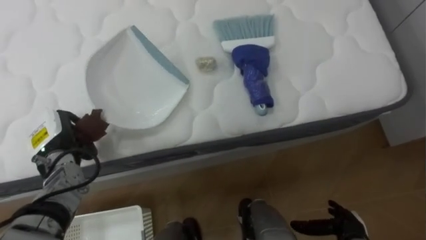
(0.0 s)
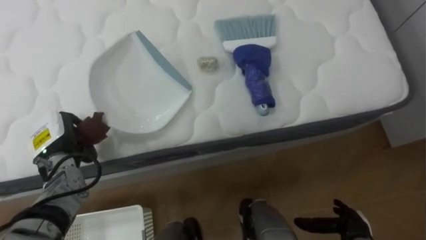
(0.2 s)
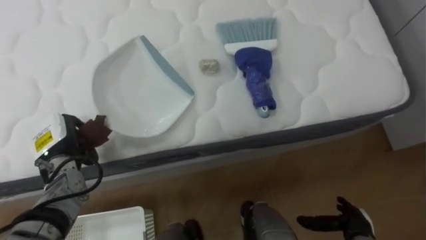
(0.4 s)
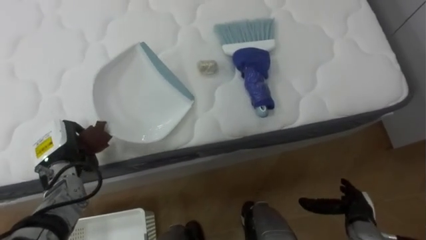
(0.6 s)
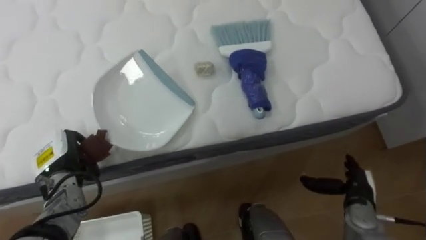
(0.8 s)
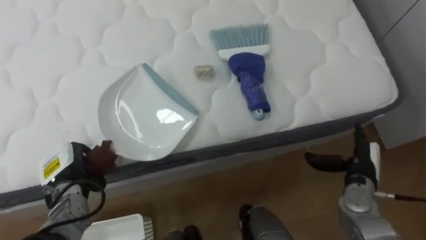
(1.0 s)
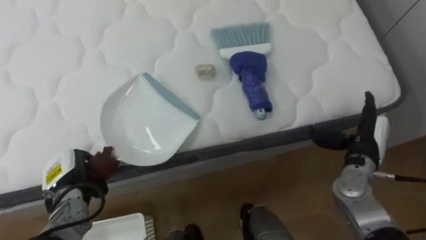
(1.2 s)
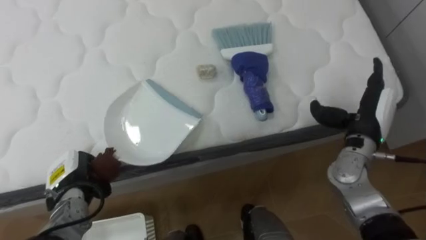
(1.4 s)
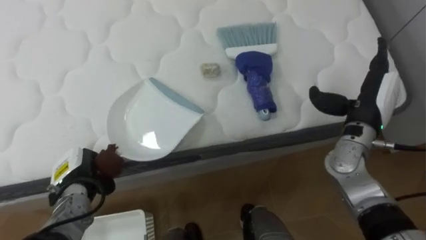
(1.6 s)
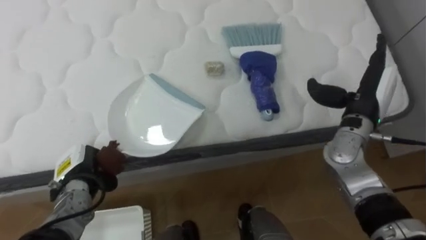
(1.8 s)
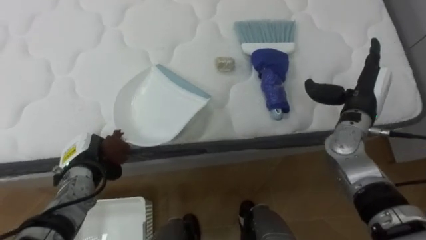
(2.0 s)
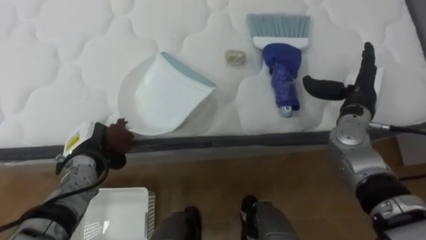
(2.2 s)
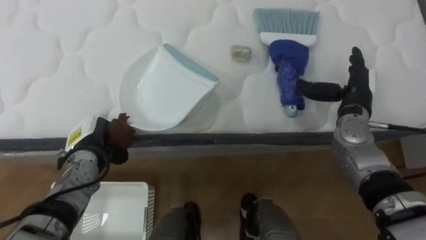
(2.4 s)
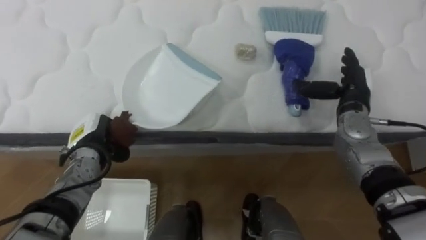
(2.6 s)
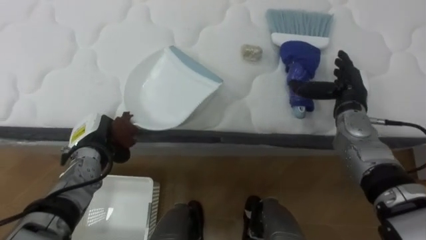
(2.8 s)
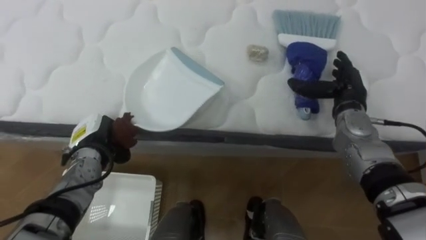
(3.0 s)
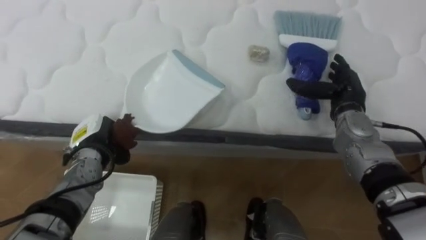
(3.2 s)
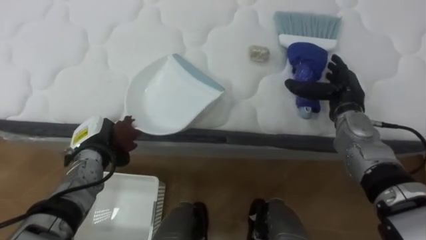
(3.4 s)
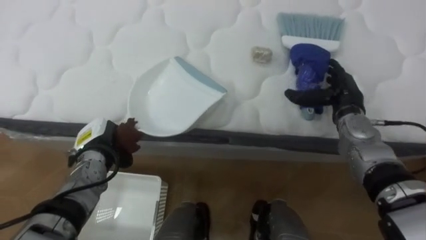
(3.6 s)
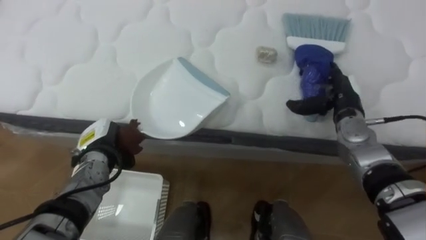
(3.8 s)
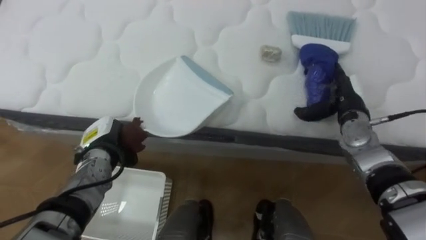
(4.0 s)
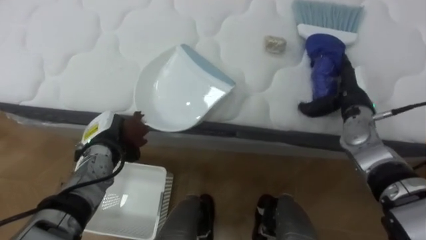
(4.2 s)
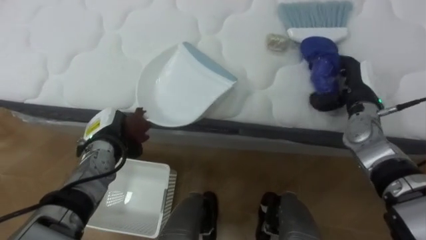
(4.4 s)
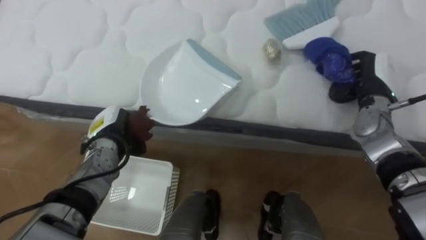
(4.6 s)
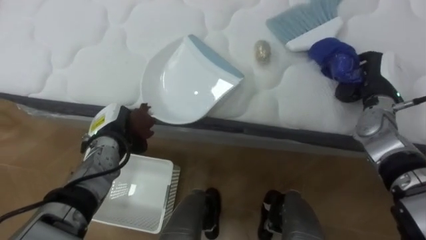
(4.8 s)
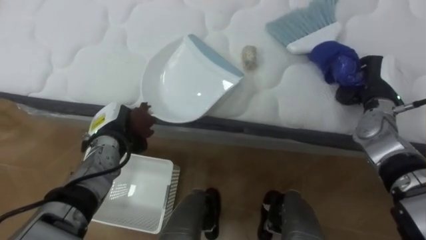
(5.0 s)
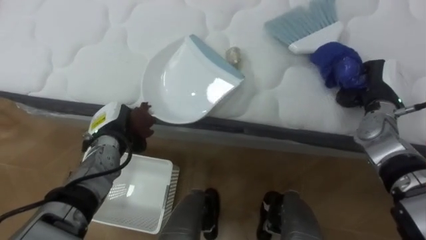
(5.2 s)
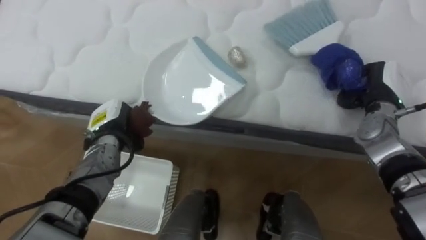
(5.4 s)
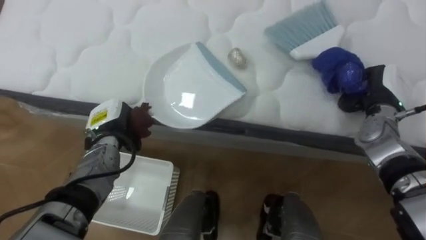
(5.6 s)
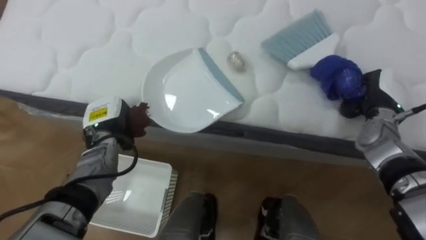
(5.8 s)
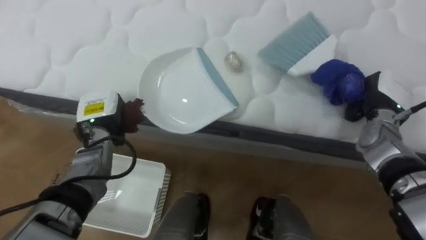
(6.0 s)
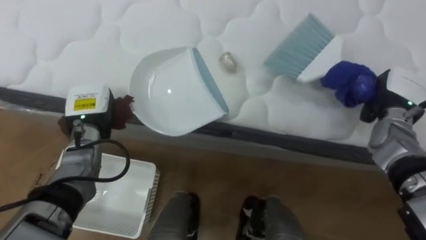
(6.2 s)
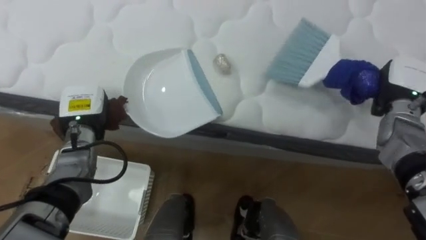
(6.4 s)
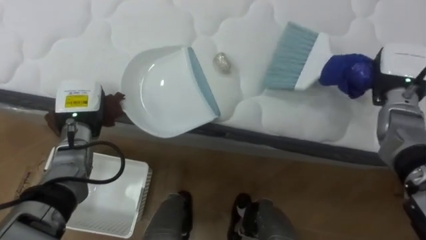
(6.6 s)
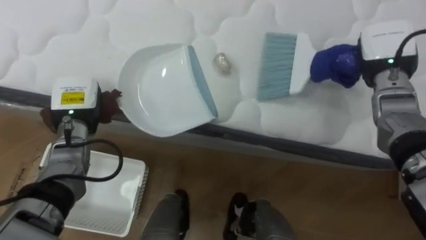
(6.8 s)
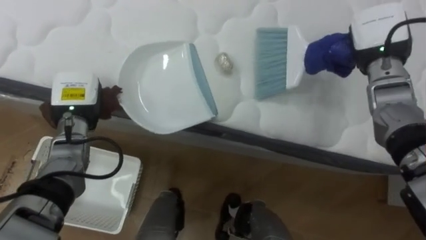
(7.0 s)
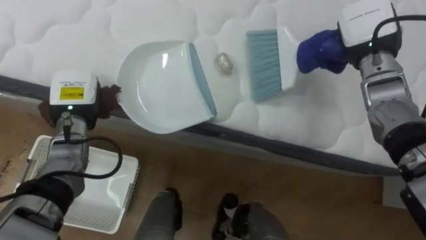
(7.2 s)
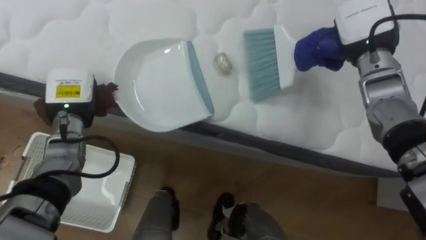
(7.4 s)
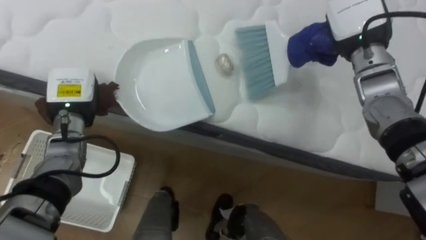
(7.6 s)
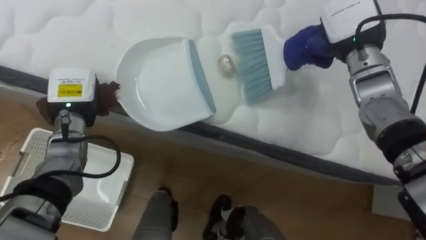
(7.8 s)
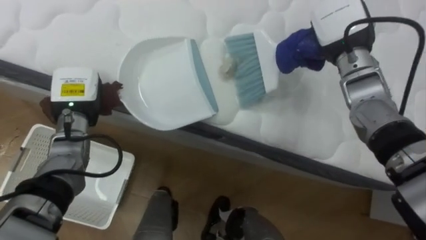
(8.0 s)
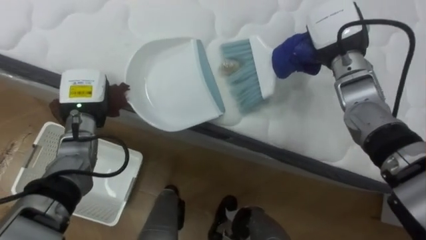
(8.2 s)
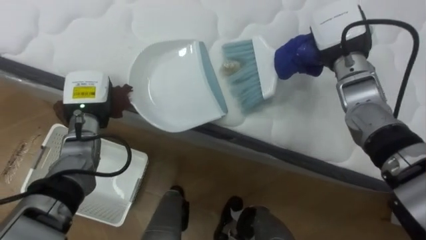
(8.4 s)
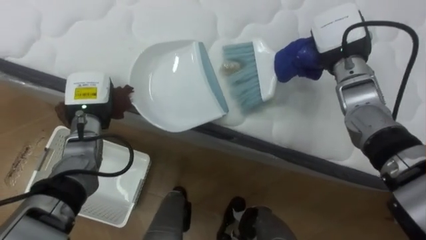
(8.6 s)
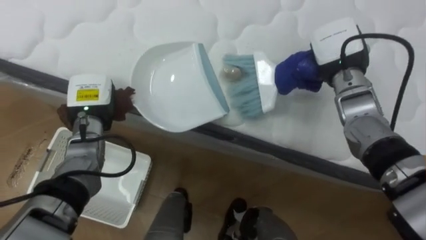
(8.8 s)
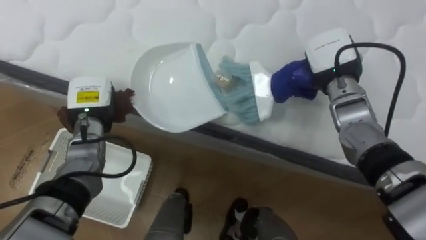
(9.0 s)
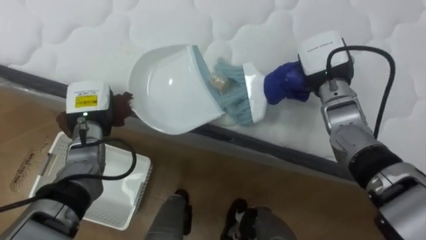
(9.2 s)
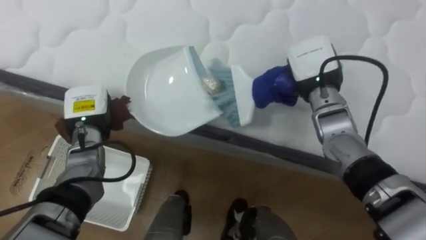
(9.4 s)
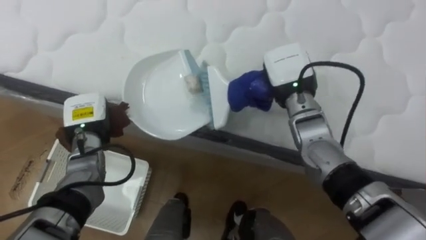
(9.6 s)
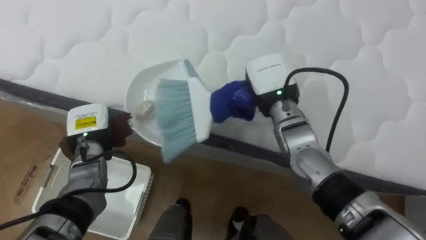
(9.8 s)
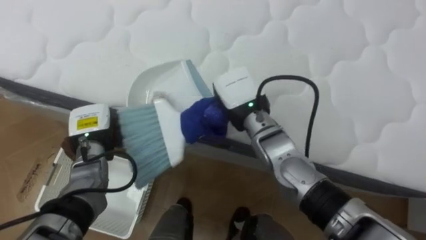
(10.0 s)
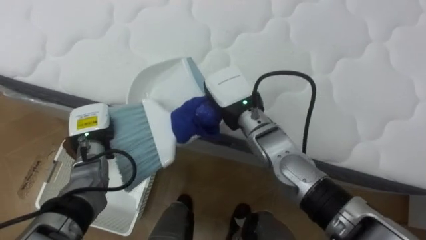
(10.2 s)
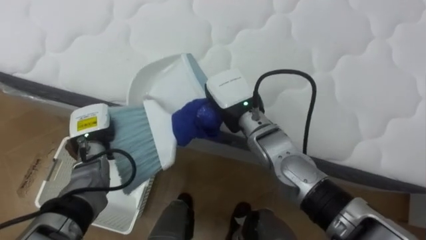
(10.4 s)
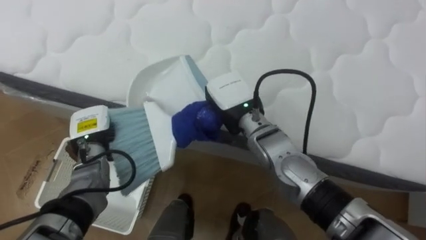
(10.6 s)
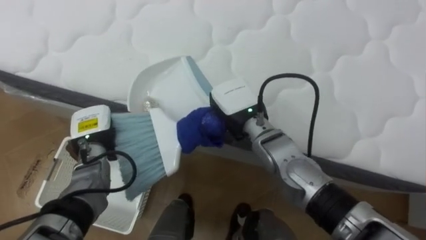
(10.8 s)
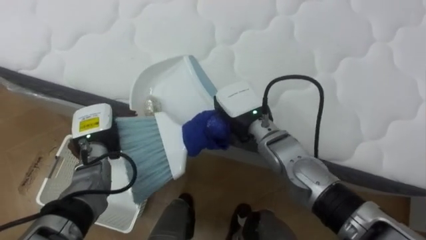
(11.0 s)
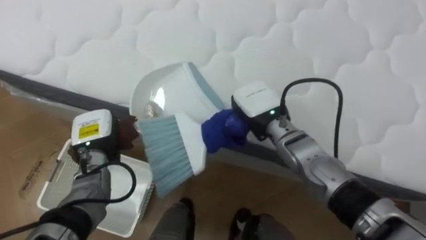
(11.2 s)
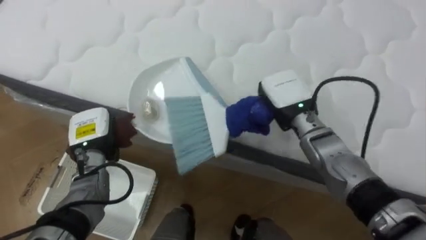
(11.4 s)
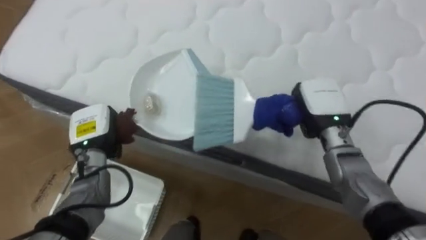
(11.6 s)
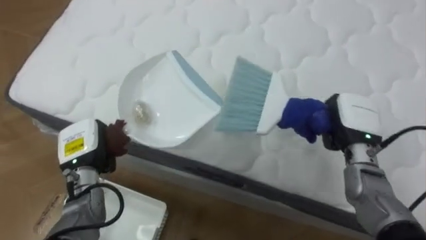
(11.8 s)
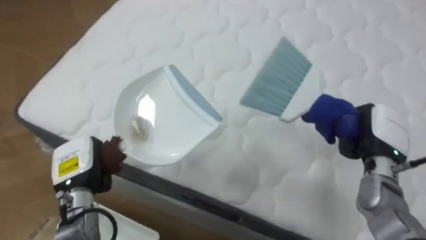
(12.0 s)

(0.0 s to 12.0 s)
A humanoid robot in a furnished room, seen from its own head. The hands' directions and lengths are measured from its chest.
Task of the whole recording: Pick up the brush on your right and the dustpan on your left. Use the brush to sweep the crumpled paper on the bed into the dustpan, then turn left and empty it into the basket.
0.0 s - 1.6 s: The left hand moves downward, roughly 5 cm; the right hand shifts roughly 30 cm upward and forward.
1.6 s - 3.0 s: Both hands move forward, approximately 5 cm.
4.4 s - 6.0 s: The right hand closes its fingers.
6.0 s - 7.6 s: The left hand changes place by approximately 5 cm. Meanwhile the right hand is displaced upward, to the left and forward by about 15 cm.
7.6 s - 9.0 s: The right hand is displaced downward by about 5 cm.
9.0 s - 10.4 s: The right hand moves to the left, approximately 20 cm. The left hand goes about 5 cm downward.
10.4 s - 12.0 s: The right hand goes approximately 30 cm to the right; the left hand travels backward by approximately 10 cm.

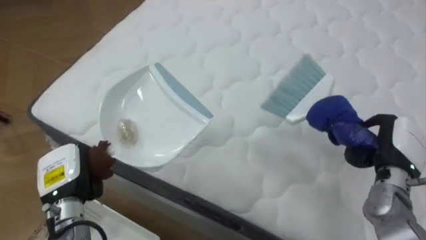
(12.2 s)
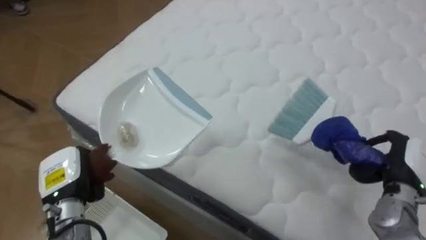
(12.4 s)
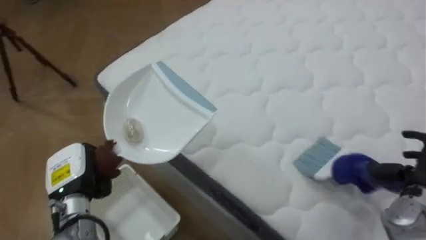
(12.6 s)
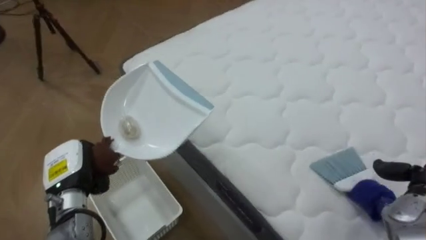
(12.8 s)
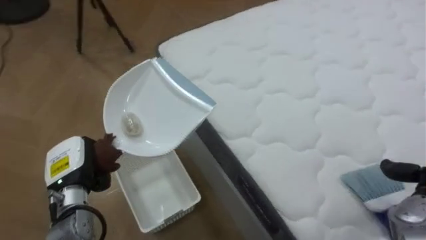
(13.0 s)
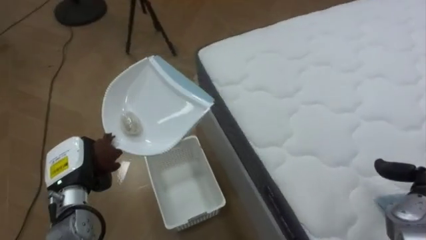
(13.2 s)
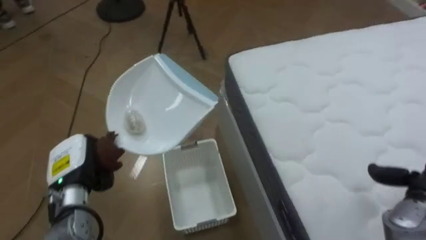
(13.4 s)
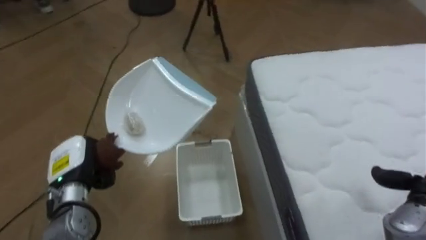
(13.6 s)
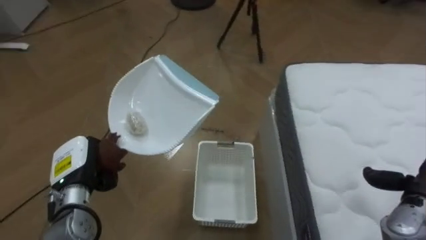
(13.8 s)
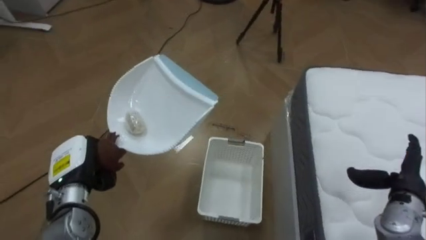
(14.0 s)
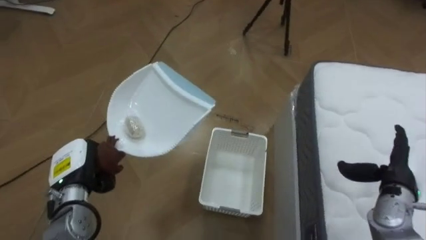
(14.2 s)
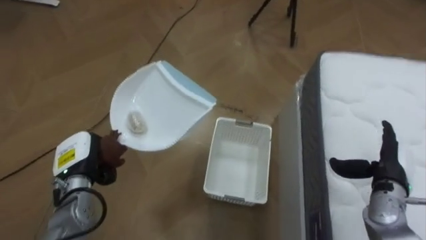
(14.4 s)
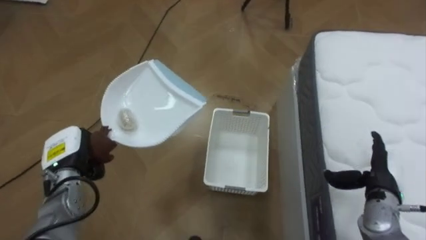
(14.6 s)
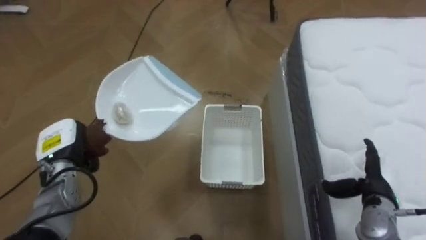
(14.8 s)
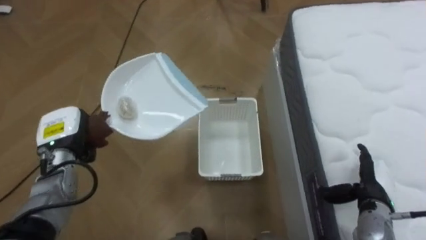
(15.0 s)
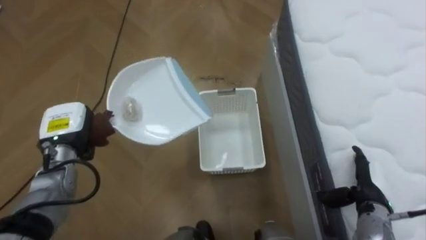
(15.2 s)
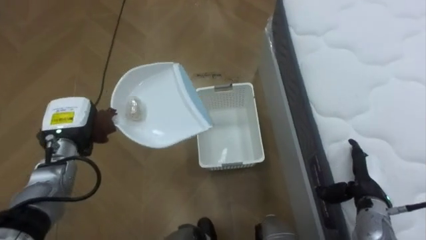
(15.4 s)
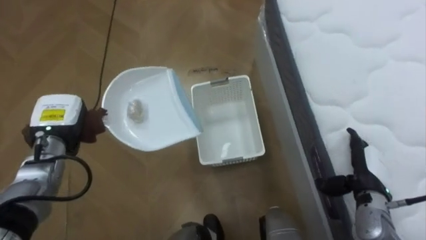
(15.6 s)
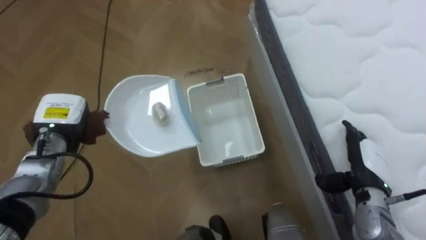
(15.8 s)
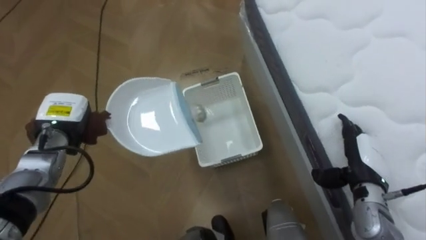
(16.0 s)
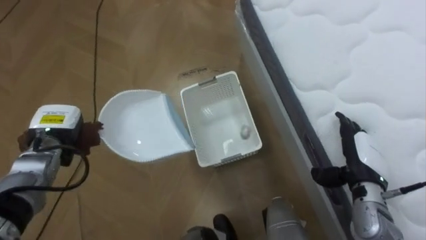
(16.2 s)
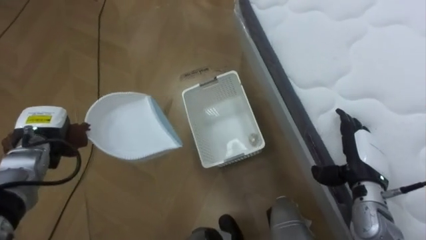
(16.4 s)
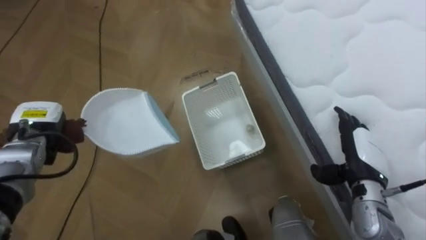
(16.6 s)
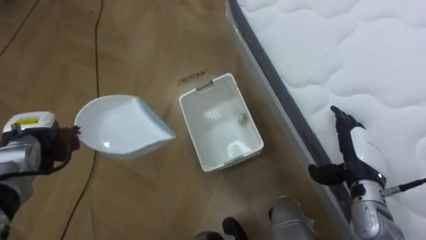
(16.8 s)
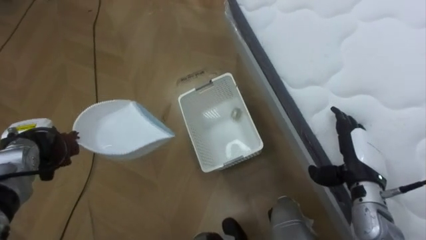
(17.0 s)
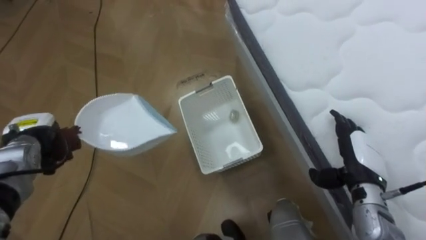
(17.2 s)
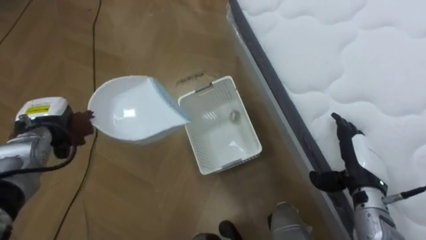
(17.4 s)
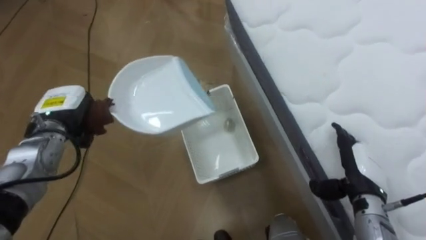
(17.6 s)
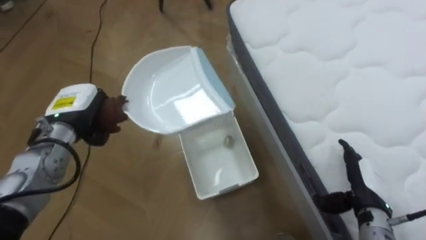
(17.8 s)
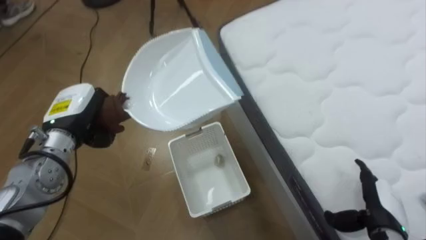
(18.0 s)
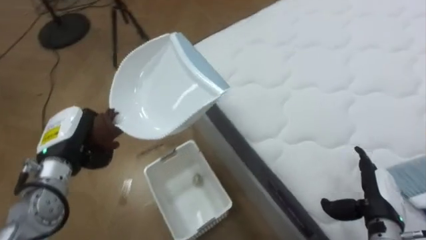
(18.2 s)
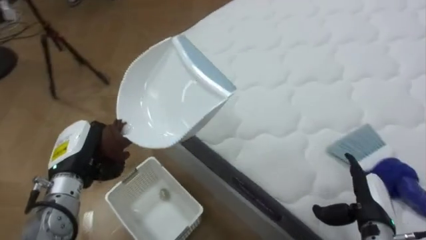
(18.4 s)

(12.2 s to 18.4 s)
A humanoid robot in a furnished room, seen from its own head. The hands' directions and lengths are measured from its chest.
Task of the whole recording: Pick up the brush on your right and the dustpan on your left. Use the brush to sweep the crumpled paper on the bed into the dustpan, then turn left and empty it into the basket.
12.2 s - 13.8 s: The robot faces some 70 degrees further to its left.
13.8 s - 15.4 s: The right hand is displaced to the left by some 10 cm. The left hand heads forward, covering about 10 cm.
15.4 s - 16.8 s: The right hand moves upward, approximately 5 cm. Meanwhile the left hand moves to the left, some 5 cm.
16.8 s - 18.4 s: The robot faces roughly 40 degrees further to its right. The left hand goes some 10 cm to the right and backward. The right hand travels backward and downward by approximately 10 cm.
